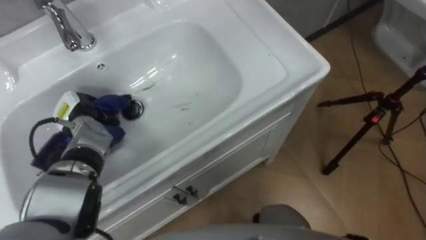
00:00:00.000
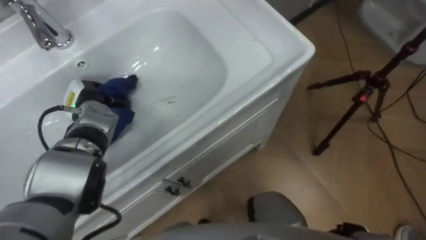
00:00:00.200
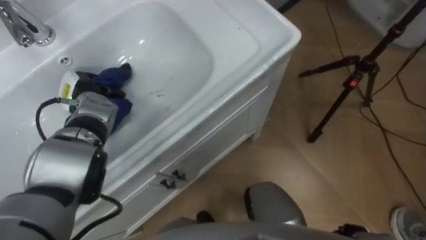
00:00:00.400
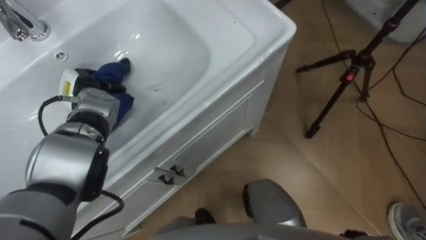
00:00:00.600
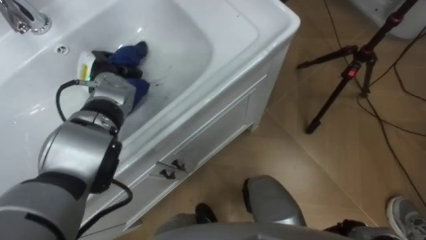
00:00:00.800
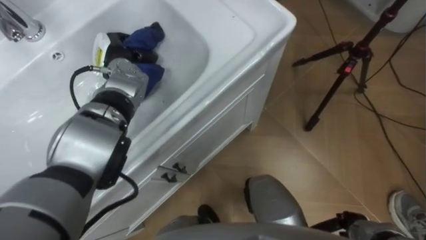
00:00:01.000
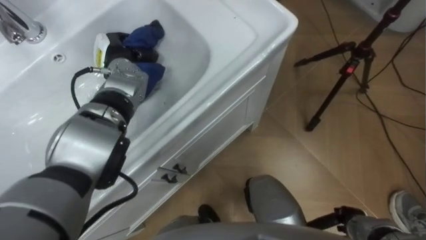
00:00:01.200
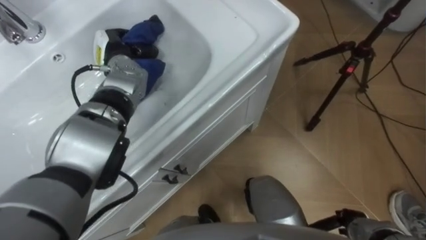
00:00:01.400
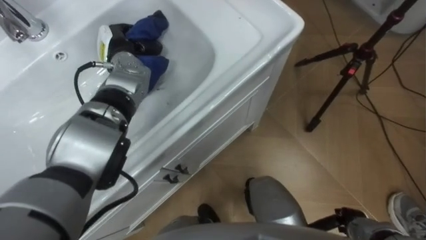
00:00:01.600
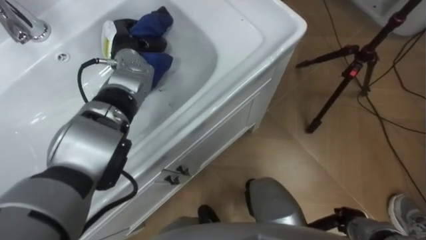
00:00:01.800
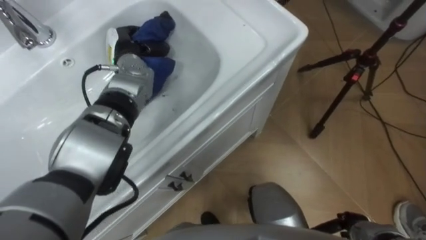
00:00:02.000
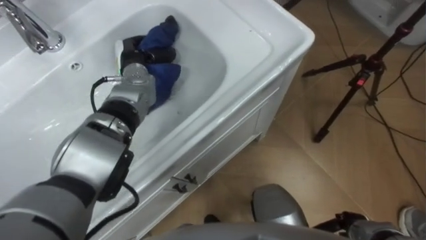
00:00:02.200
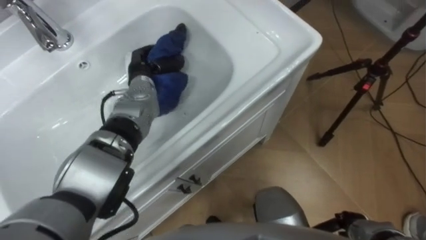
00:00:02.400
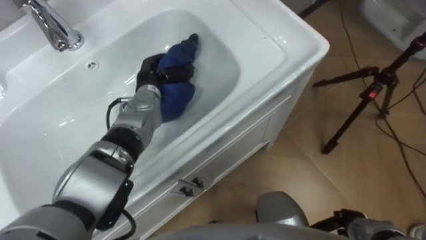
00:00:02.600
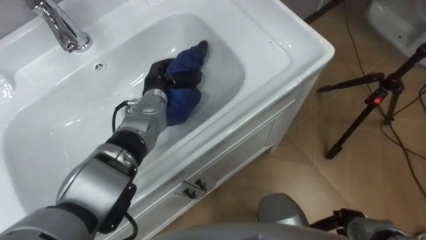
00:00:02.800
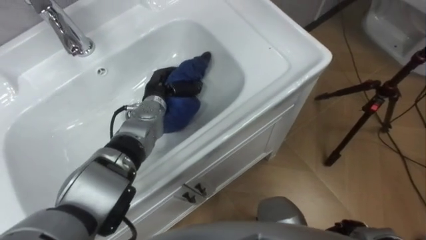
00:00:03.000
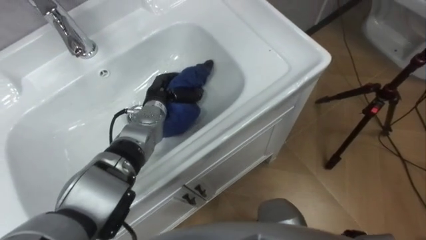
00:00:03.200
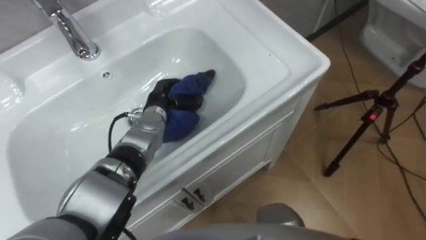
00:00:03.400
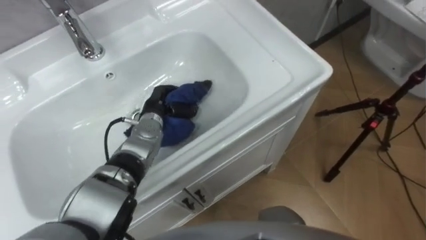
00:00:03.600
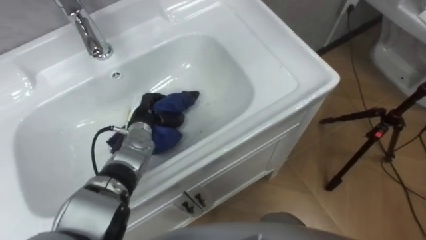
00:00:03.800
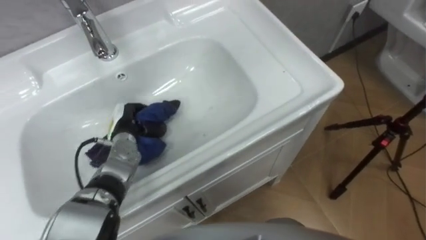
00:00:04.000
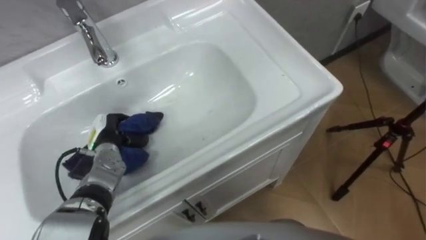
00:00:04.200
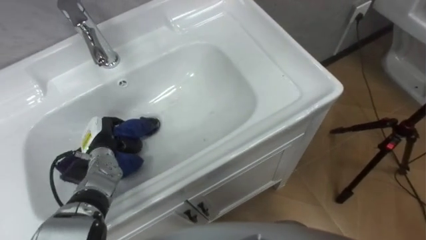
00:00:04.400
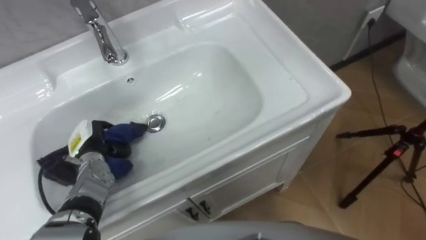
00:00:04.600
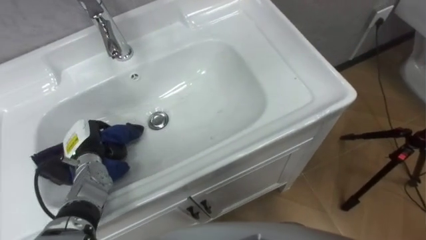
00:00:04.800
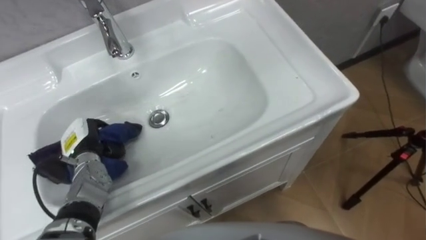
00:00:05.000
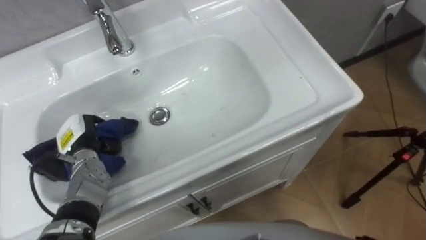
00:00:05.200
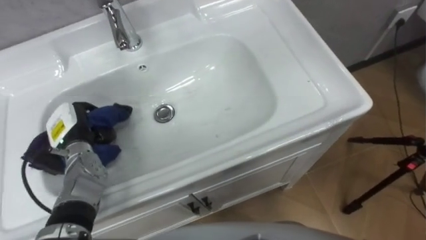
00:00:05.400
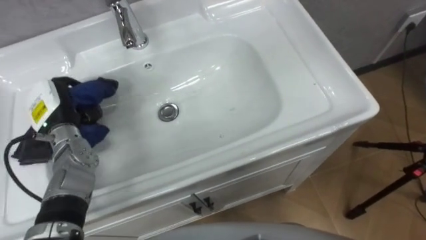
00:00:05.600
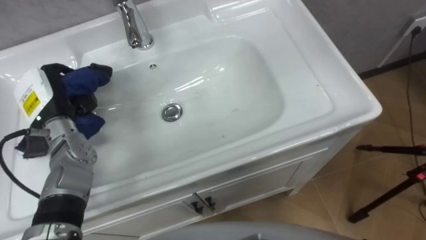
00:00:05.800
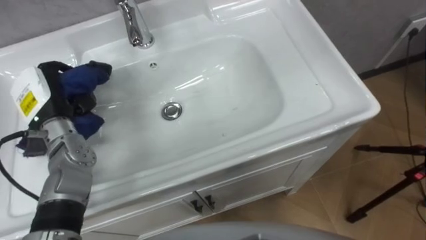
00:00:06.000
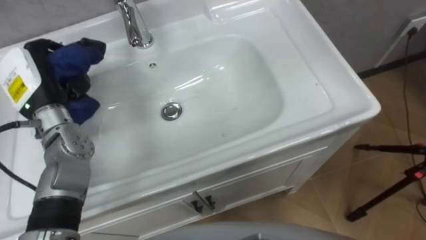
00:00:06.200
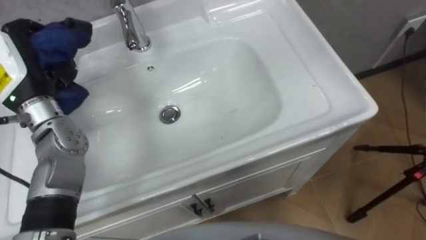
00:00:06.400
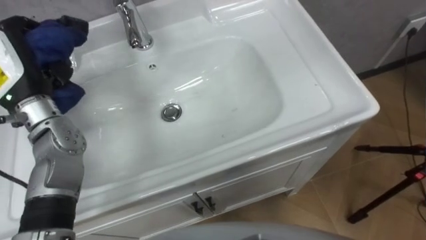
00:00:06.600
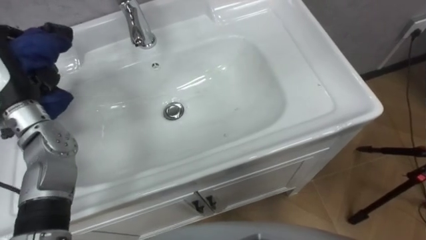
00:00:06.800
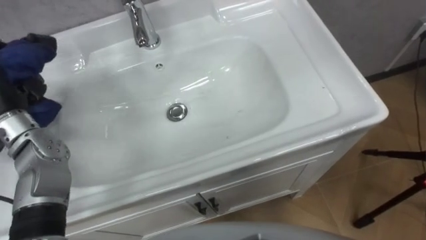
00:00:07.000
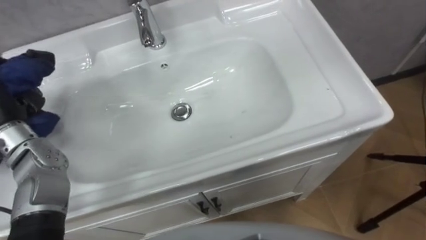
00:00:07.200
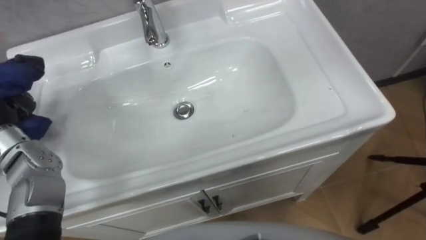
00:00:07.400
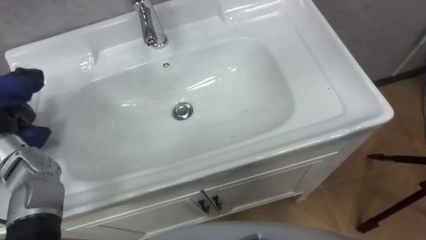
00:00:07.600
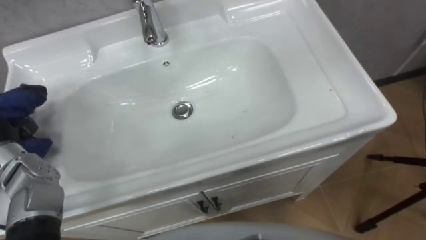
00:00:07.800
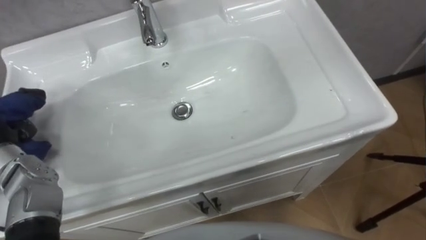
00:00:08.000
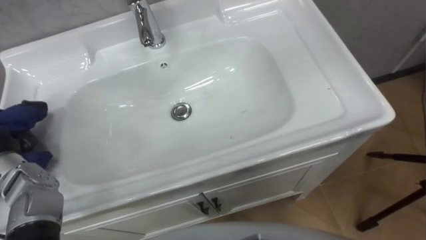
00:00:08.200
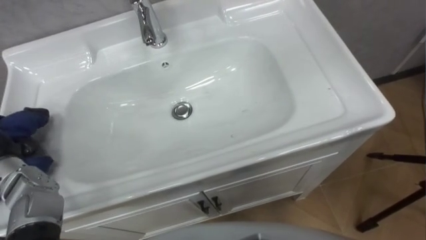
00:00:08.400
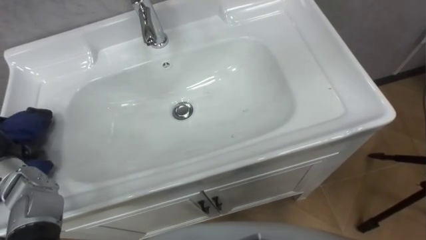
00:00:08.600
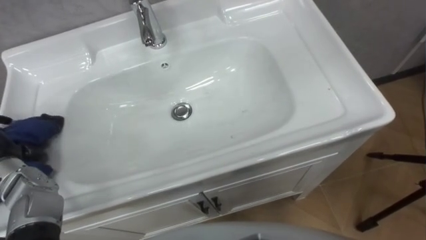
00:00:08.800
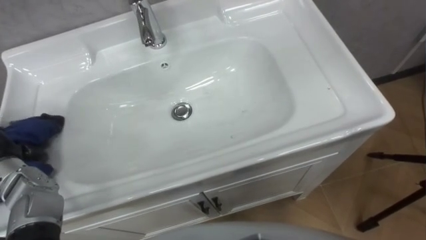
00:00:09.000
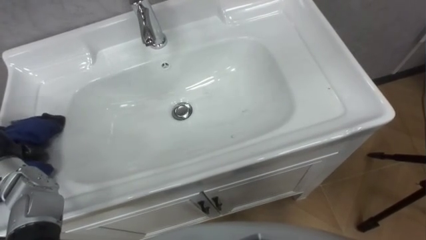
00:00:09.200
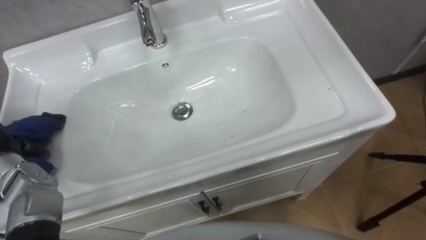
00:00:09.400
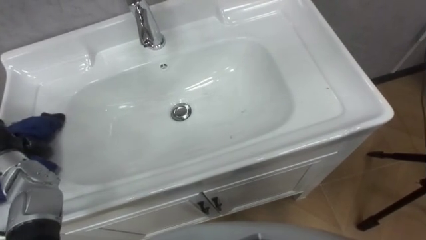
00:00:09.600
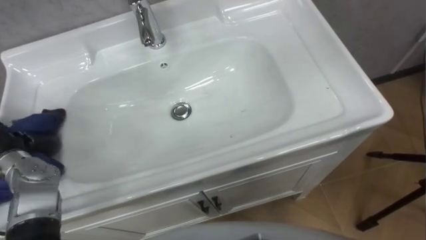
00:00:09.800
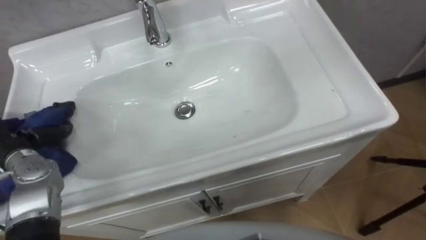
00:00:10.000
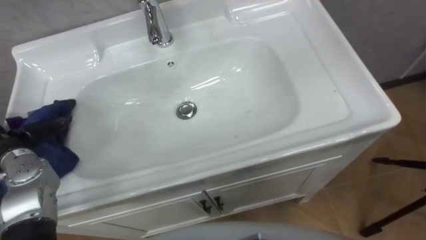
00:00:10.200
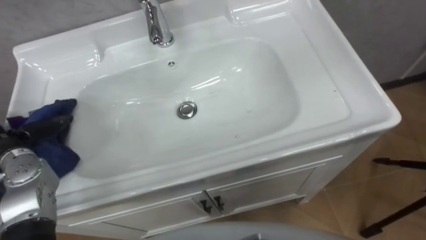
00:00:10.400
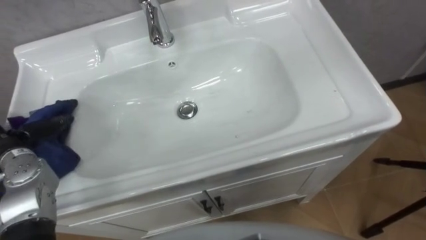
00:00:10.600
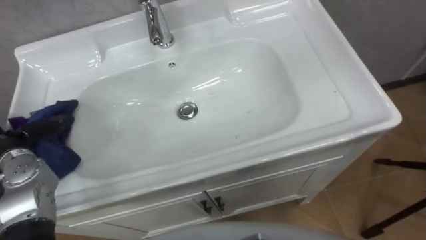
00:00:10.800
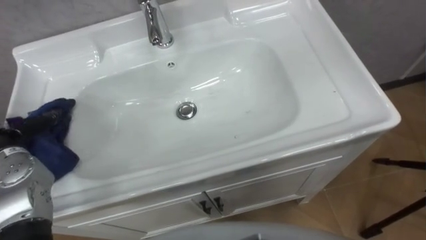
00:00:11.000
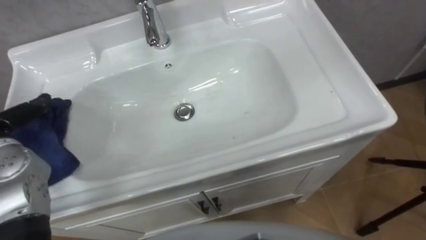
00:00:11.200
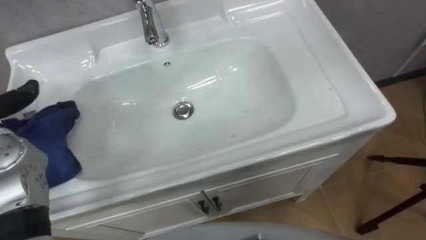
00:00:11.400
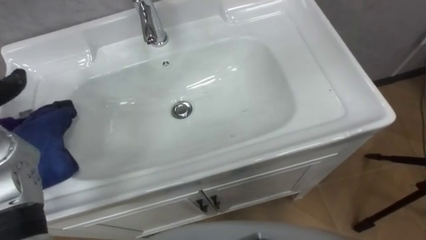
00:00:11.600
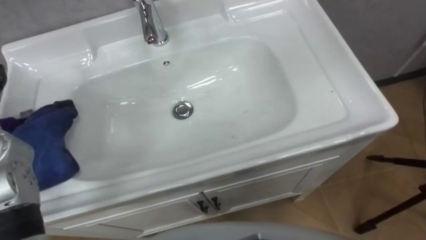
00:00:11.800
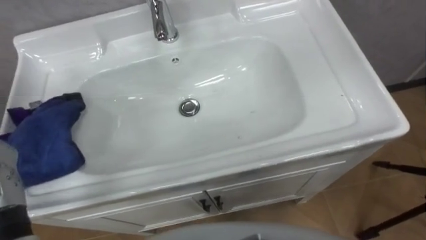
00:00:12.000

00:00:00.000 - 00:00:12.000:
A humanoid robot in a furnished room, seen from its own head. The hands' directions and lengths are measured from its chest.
Task of the whole recording: Use the cloth on the right to wipe away the black stain in the sink.
00:00:00.000 - 00:00:01.600: The left hand travels forward, to the right and upward by approximately 20 cm.
00:00:01.600 - 00:00:03.000: The left hand travels downward, to the right and backward by about 15 cm.
00:00:03.000 - 00:00:04.400: The left hand shifts roughly 15 cm to the left and backward.
00:00:04.400 - 00:00:06.000: The left hand is displaced upward by about 15 cm.

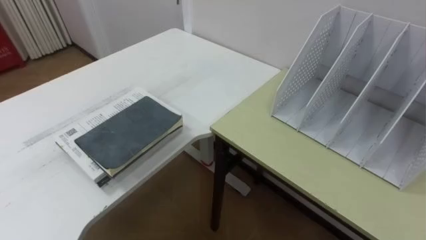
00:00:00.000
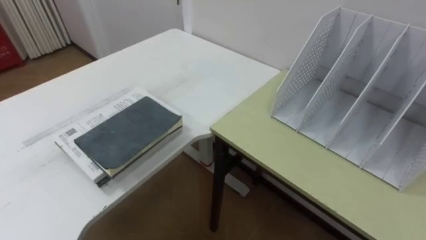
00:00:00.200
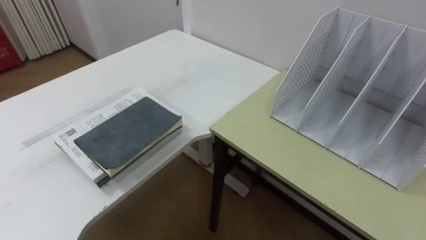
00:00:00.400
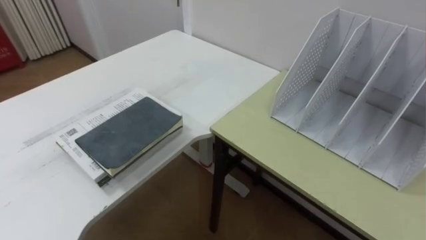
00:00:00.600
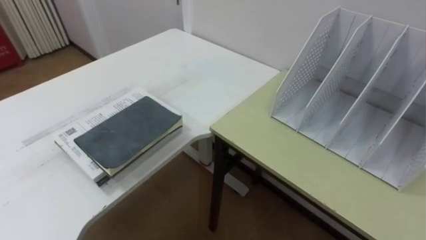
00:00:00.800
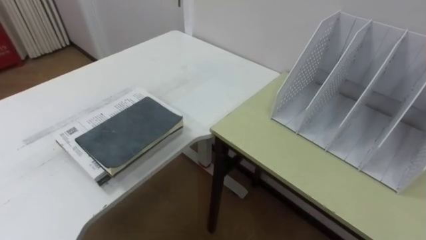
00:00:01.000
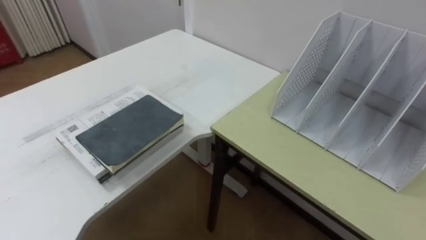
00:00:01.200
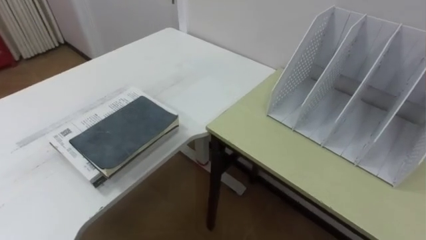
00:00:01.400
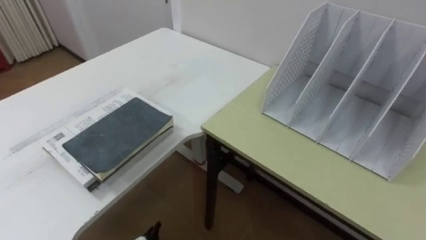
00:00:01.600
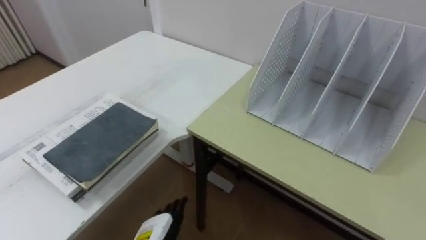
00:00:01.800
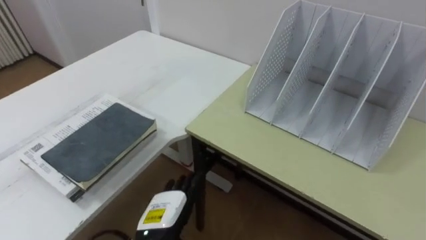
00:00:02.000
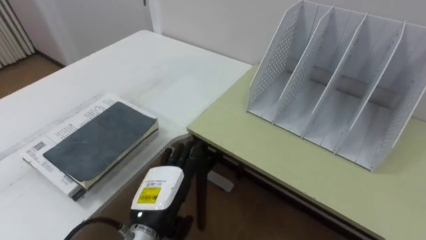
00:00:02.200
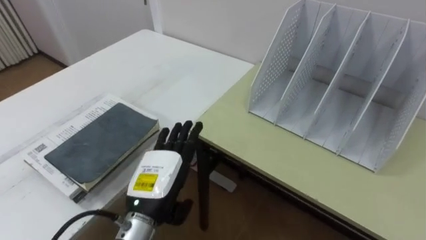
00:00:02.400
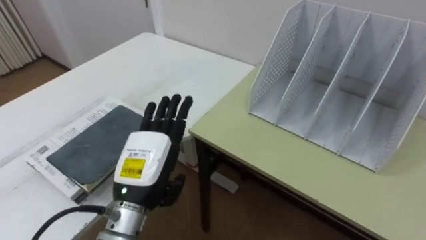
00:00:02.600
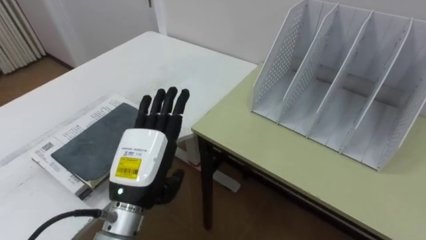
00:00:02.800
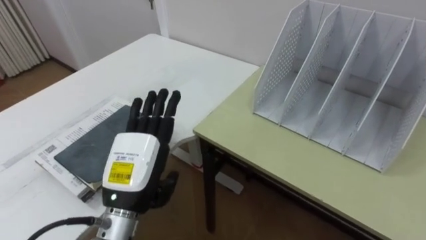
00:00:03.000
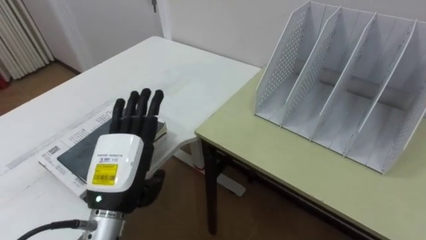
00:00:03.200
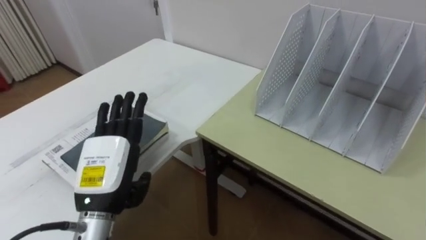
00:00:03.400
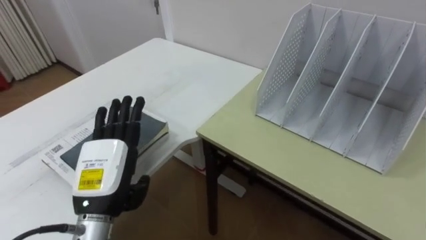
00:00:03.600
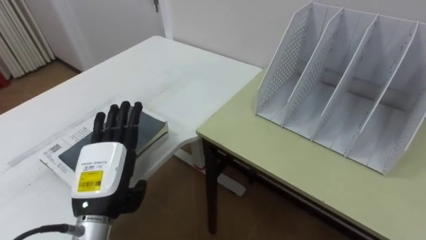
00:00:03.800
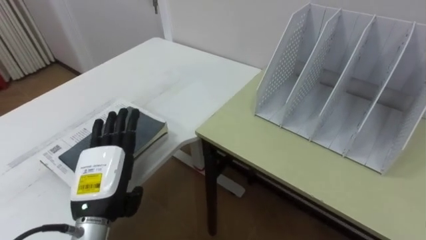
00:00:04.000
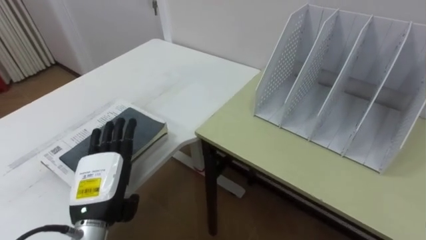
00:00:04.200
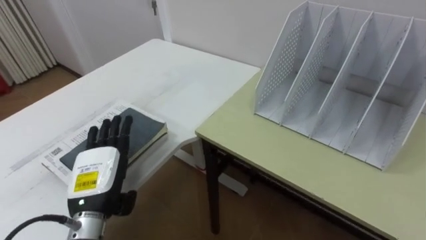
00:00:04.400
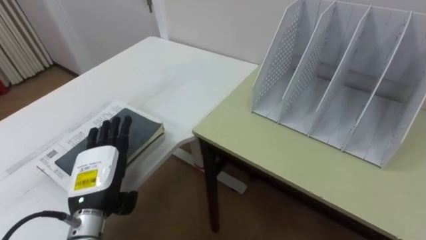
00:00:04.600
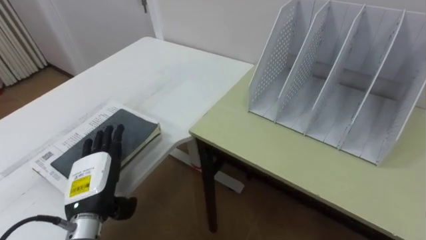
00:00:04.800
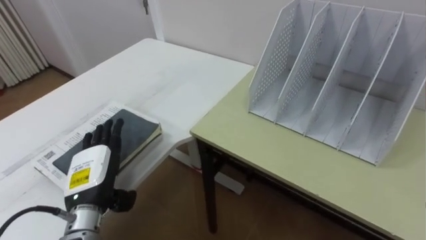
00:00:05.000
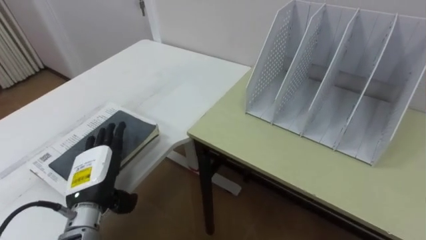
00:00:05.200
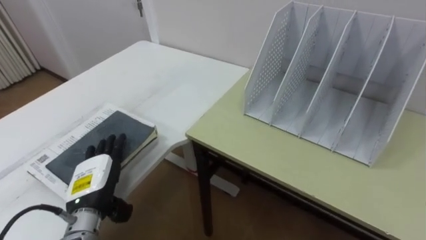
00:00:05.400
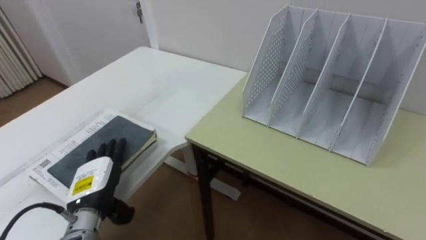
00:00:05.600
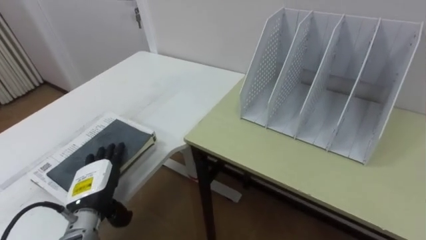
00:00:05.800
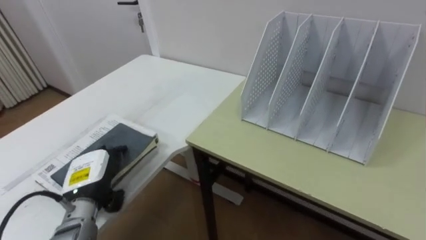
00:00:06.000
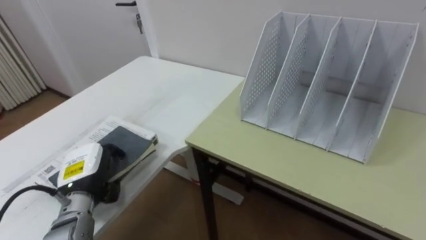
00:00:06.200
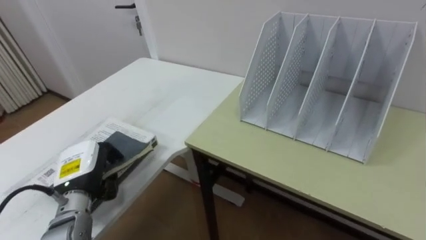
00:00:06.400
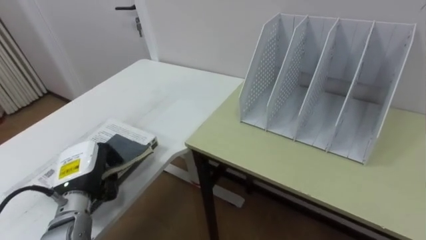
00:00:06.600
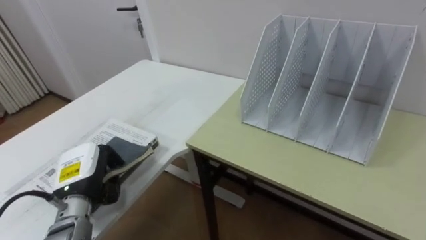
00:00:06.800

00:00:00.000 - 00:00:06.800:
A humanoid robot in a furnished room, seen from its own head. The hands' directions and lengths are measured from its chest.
Task of the whole recording: Put the books on the table onto the bookshelf.
00:00:02.800 - 00:00:04.000: The left hand travels to the left by about 5 cm.
00:00:04.000 - 00:00:05.400: The left hand travels downward by about 5 cm.
00:00:05.400 - 00:00:06.800: The left hand closes.
